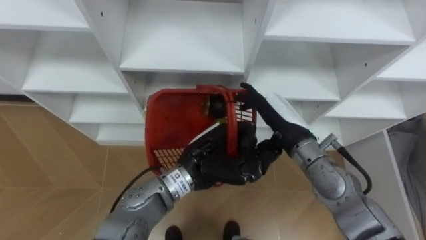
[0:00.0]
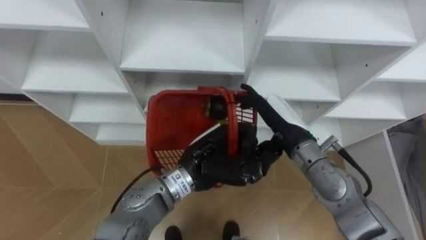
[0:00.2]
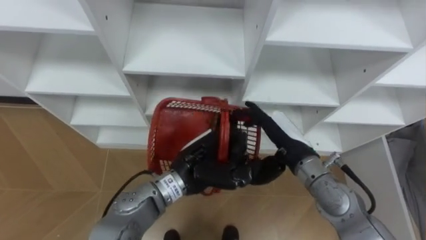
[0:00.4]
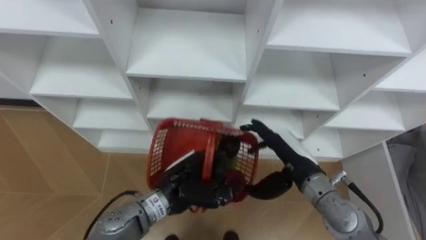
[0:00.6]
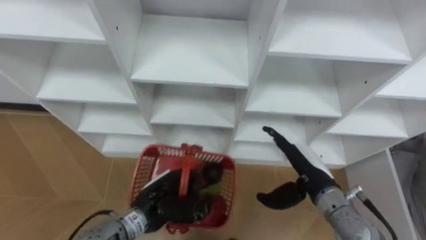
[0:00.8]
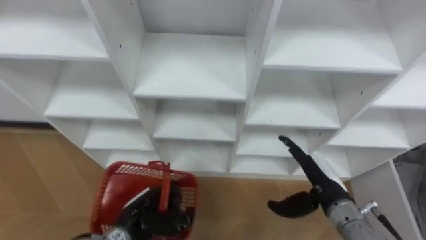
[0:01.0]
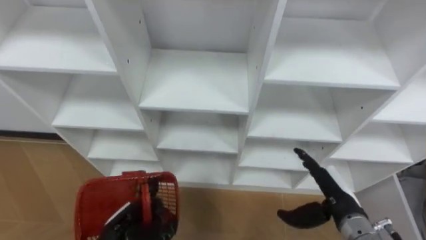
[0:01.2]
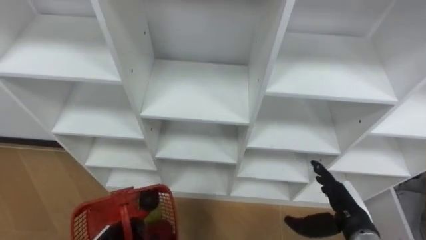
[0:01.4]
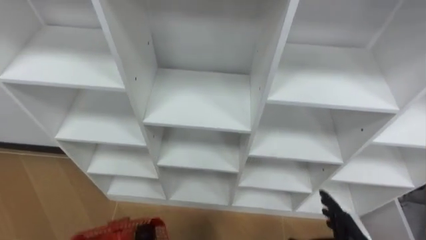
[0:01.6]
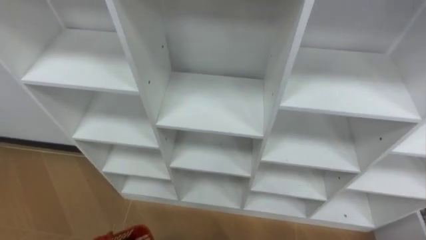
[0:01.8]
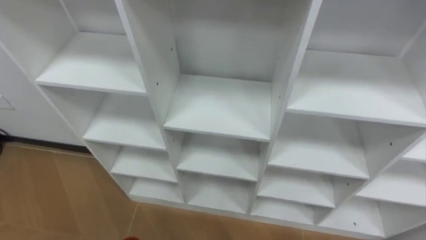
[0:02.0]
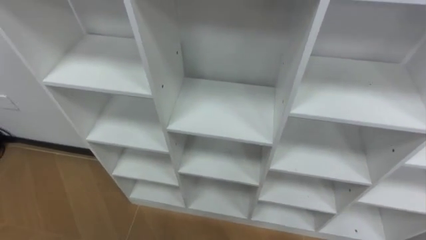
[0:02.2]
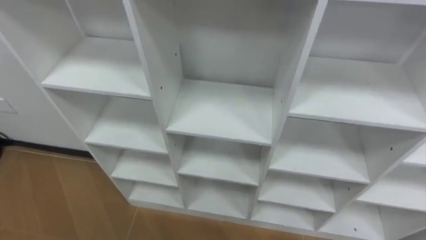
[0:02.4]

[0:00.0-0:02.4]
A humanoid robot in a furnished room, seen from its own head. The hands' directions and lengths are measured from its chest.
Task of the whole recording: Hold the basket and collect the fruits from 3 different cells of the closet into it.
0:00.0 to 0:01.2: The right hand is displaced to the right, downward and backward by approximately 20 cm. The left hand moves to the left, downward and backward, about 25 cm.

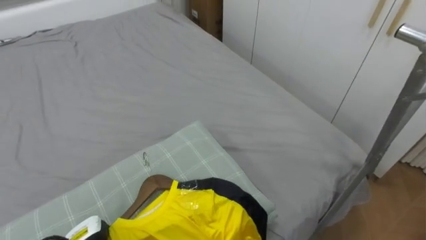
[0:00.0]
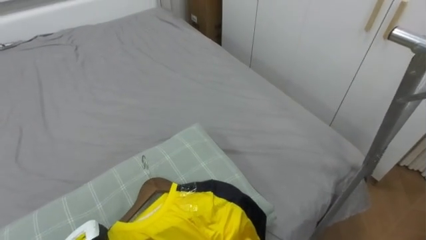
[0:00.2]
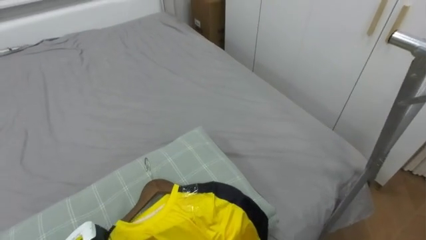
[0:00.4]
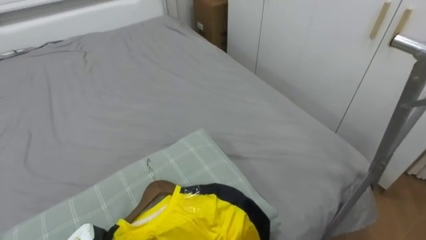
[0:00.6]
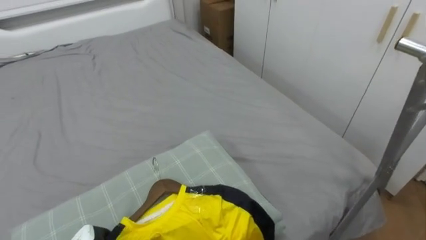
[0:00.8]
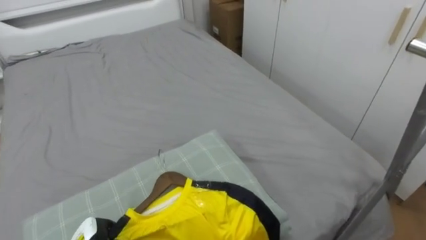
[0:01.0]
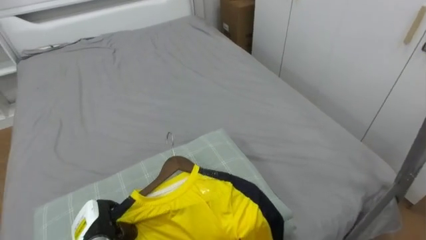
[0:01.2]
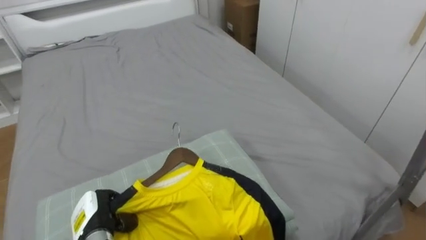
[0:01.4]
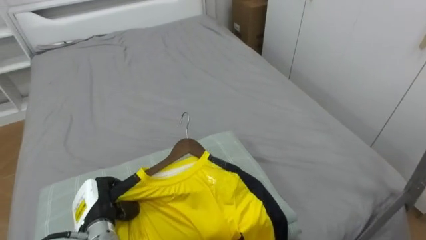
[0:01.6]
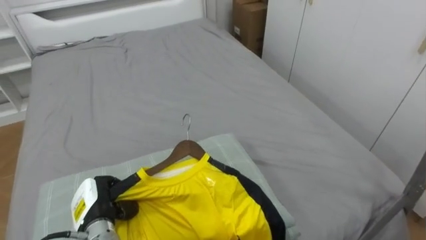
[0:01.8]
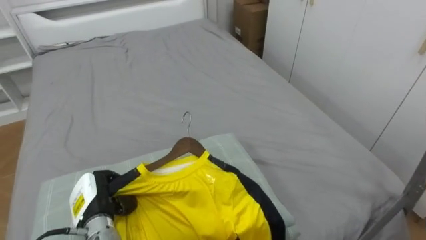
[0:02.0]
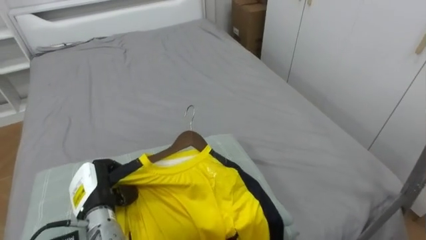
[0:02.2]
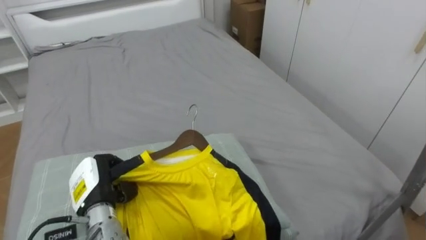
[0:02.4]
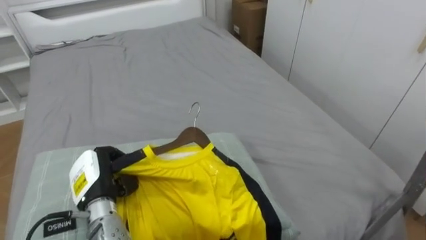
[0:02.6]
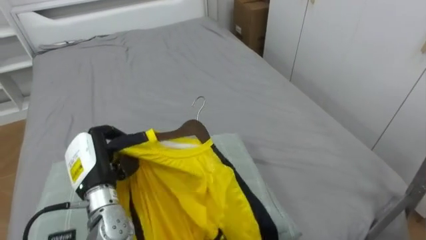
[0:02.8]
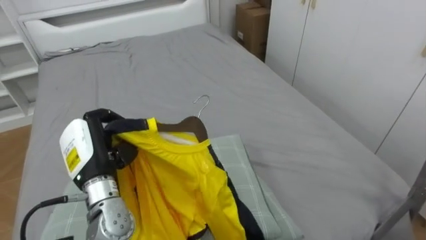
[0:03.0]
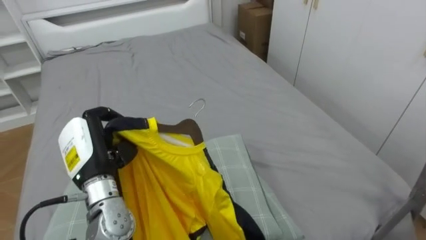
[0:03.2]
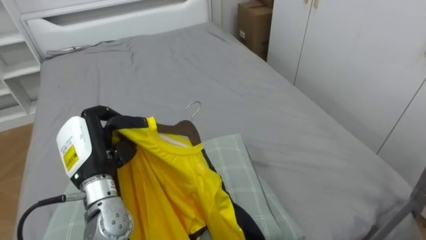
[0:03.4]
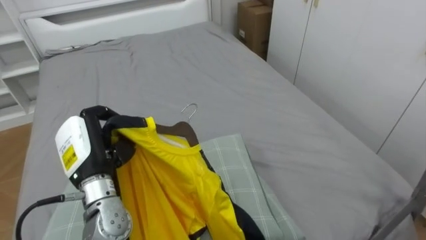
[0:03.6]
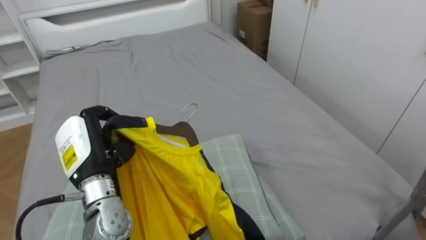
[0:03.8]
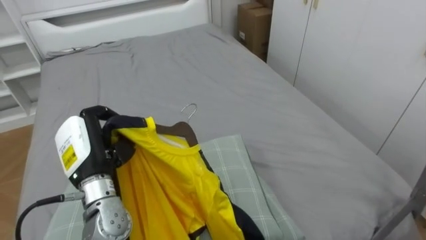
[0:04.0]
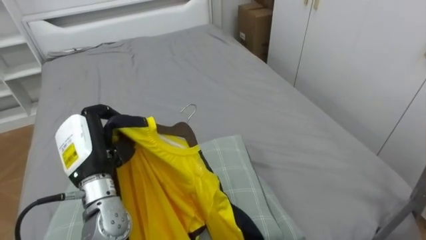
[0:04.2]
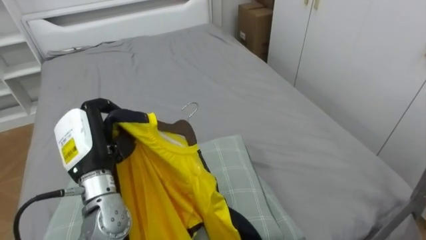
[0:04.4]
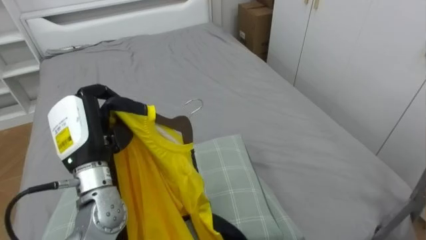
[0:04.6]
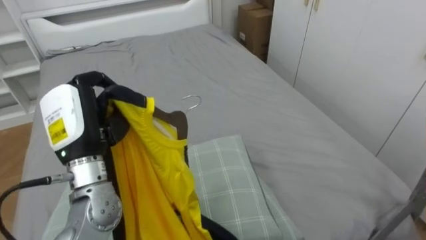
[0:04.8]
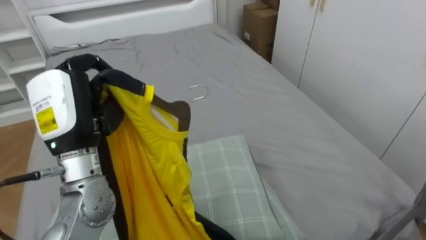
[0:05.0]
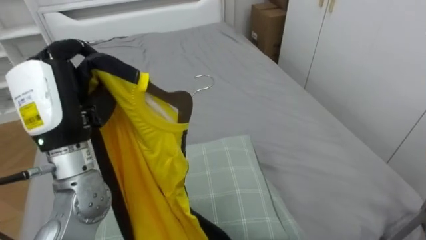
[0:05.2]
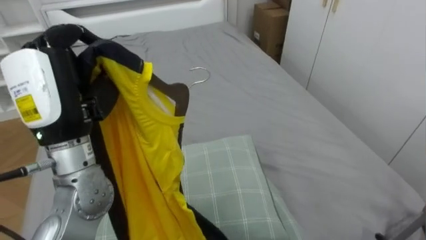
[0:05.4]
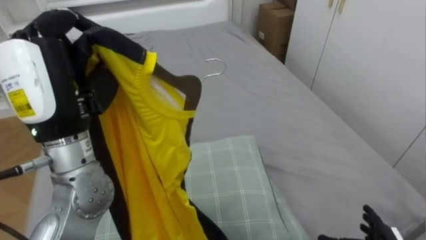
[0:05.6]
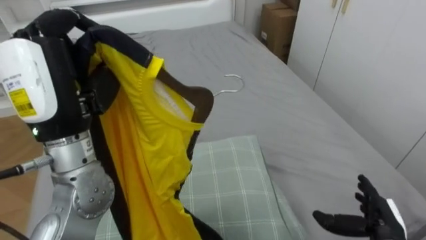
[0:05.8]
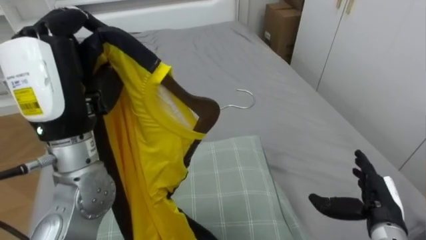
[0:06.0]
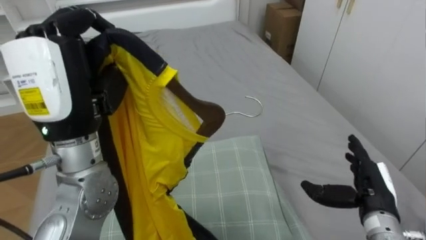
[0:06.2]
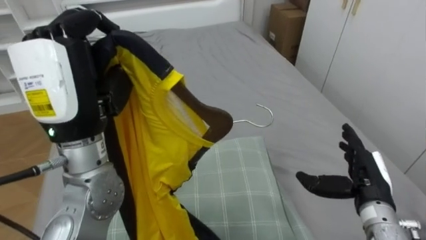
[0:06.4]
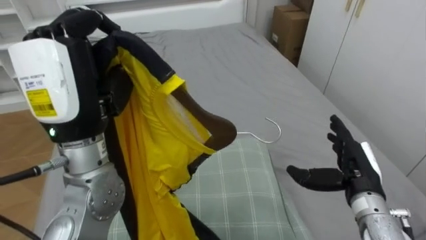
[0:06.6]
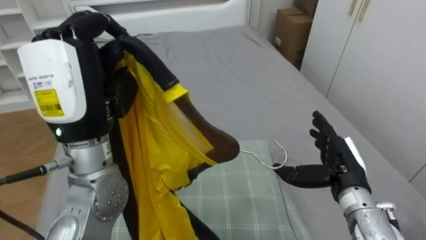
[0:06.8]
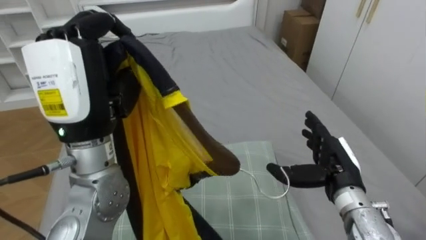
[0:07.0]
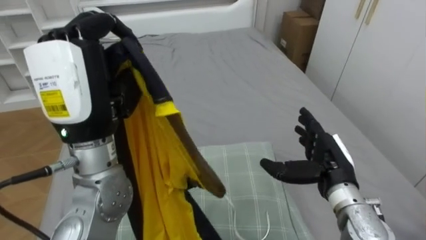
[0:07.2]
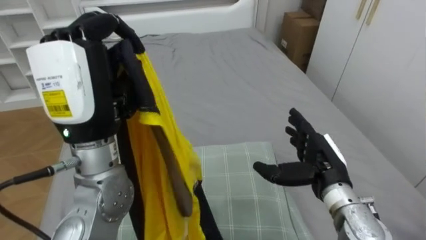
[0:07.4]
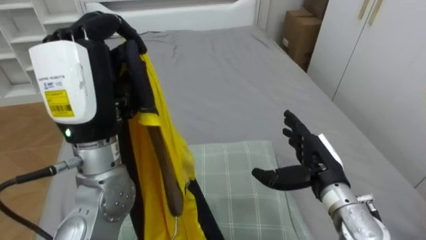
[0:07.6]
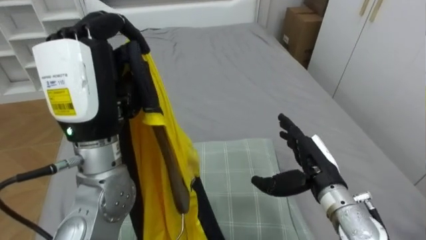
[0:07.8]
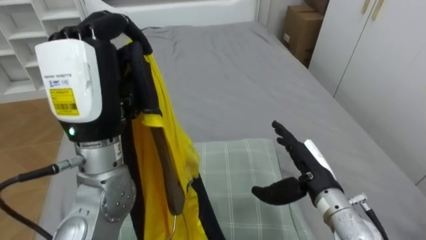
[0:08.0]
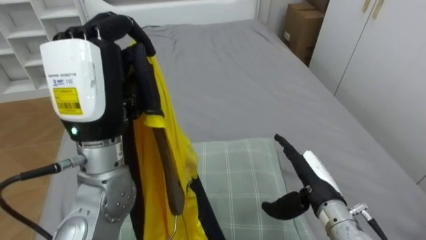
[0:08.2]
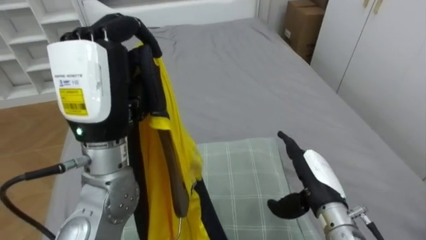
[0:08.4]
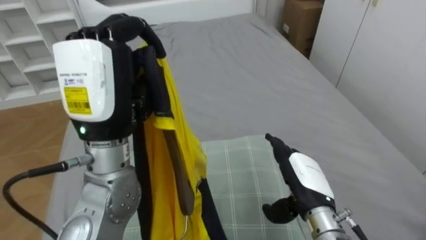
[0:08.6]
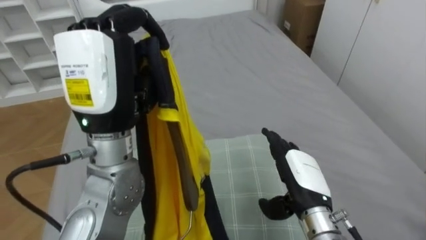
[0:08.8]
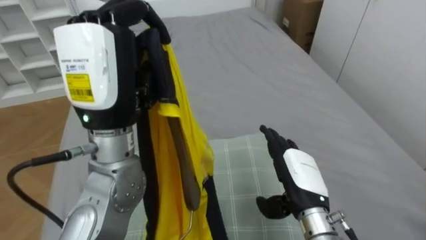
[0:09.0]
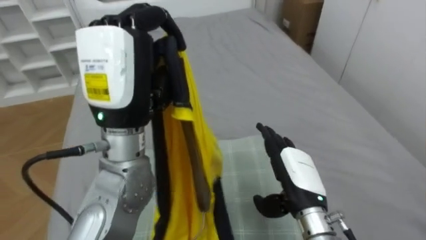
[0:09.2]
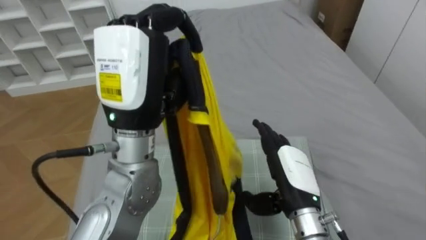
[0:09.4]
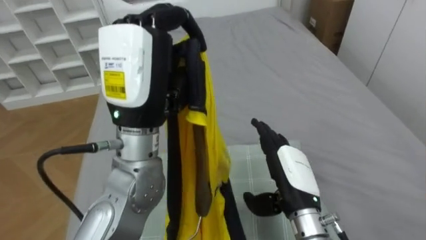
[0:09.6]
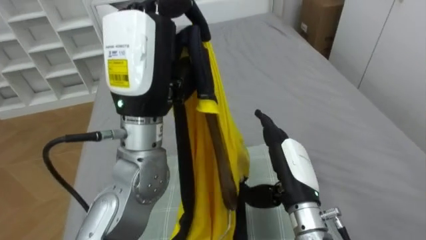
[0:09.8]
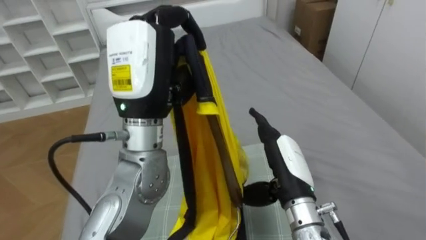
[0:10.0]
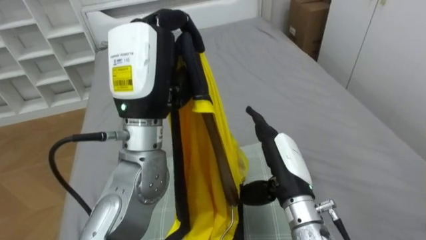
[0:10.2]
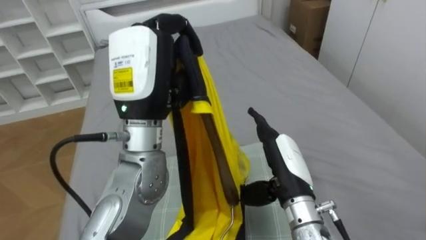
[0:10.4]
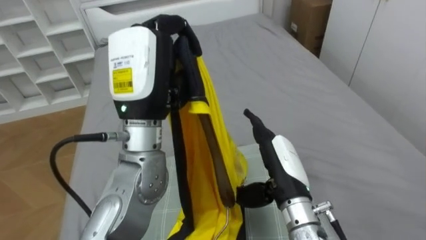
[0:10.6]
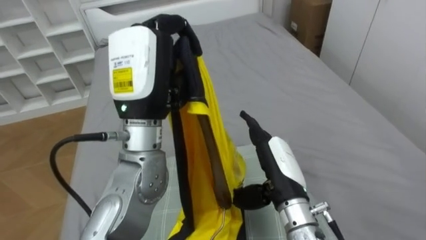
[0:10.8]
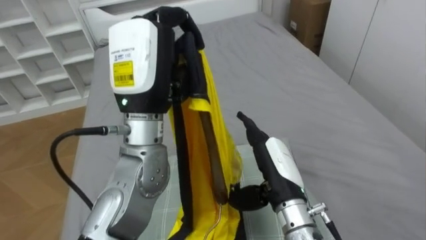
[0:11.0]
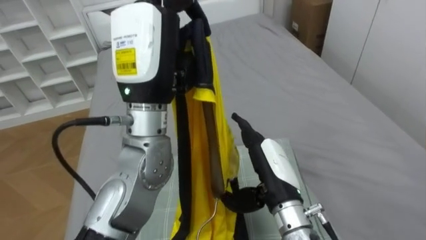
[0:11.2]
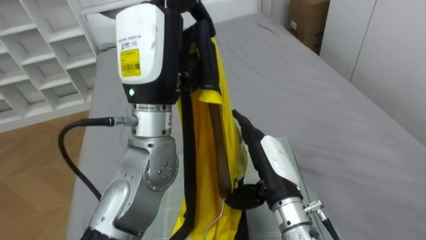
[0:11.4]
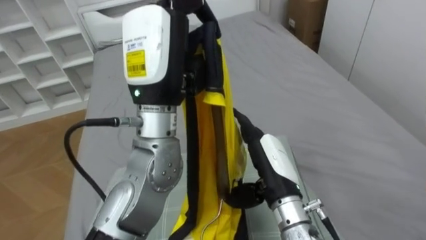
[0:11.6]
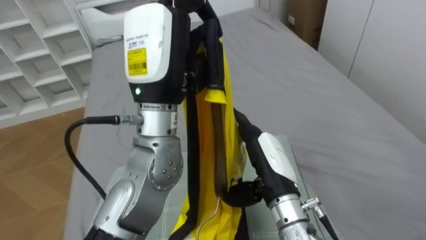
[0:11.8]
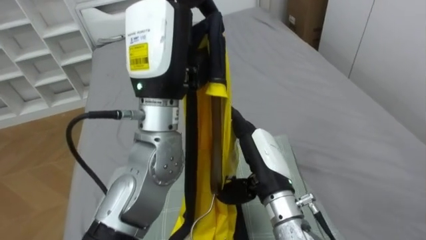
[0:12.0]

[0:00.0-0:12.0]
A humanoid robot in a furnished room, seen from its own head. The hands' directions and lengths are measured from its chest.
Task of the whole recording: Pick up the yellow shirt on the bed and hang it on the clothes rack on the right.
0:01.6 to 0:03.0: The left hand travels upward by about 15 cm.
0:04.4 to 0:06.0: The left hand is displaced upward by approximately 15 cm.
0:06.0 to 0:07.6: The right hand moves to the left and upward, some 10 cm.
0:09.0 to 0:10.4: The left hand changes place by roughly 5 cm.

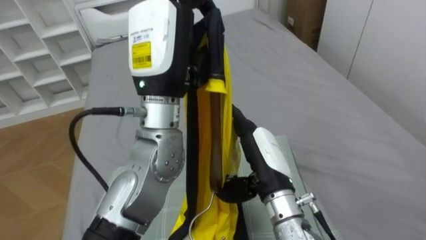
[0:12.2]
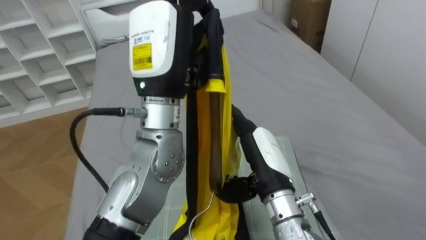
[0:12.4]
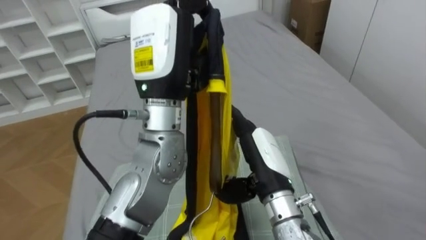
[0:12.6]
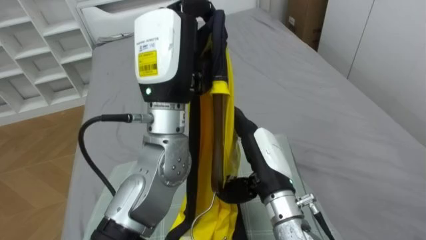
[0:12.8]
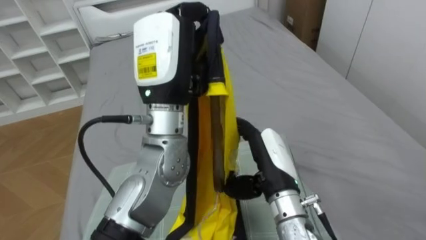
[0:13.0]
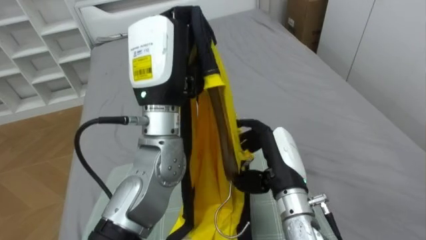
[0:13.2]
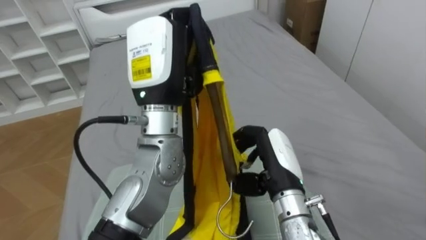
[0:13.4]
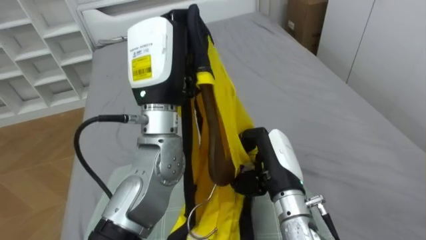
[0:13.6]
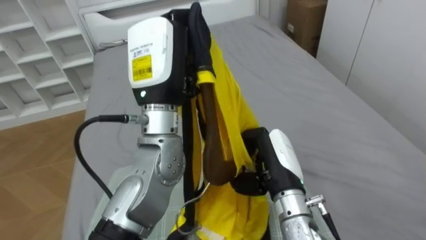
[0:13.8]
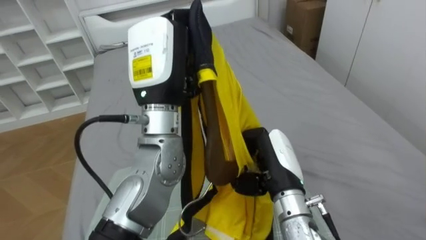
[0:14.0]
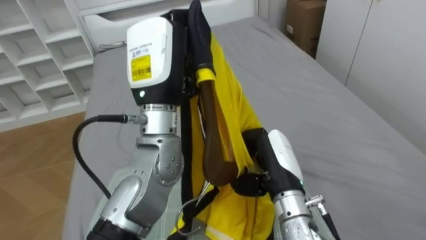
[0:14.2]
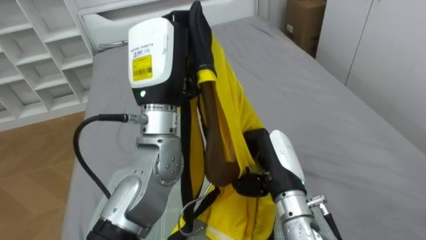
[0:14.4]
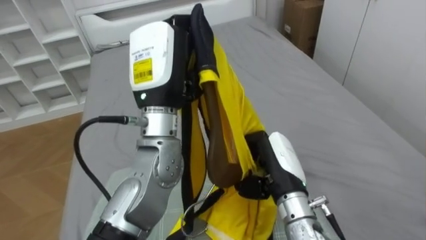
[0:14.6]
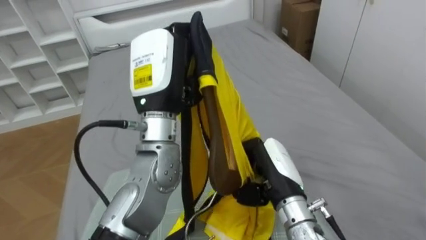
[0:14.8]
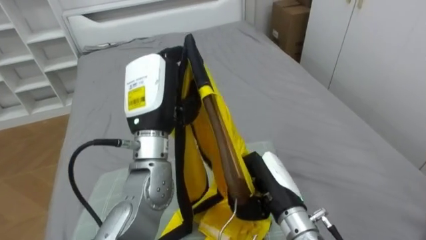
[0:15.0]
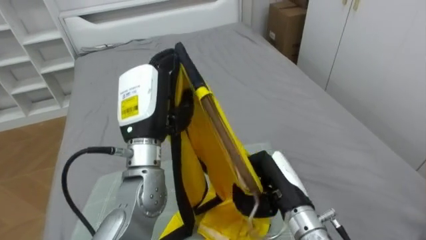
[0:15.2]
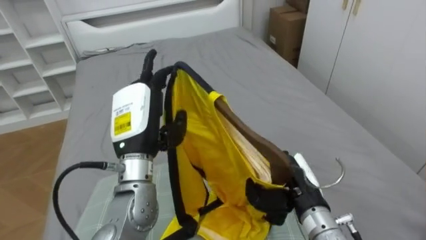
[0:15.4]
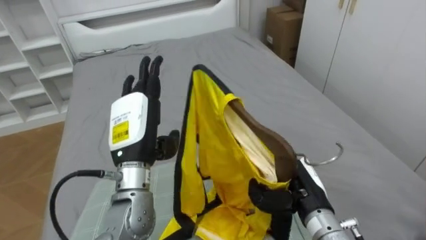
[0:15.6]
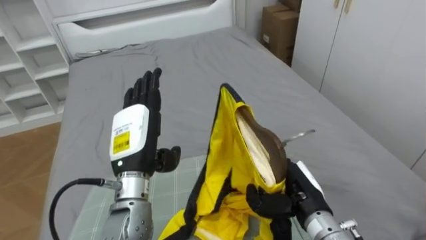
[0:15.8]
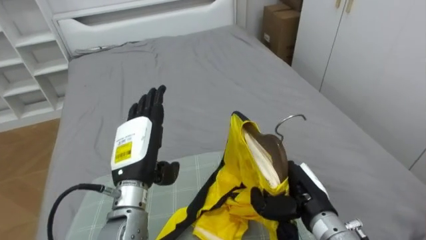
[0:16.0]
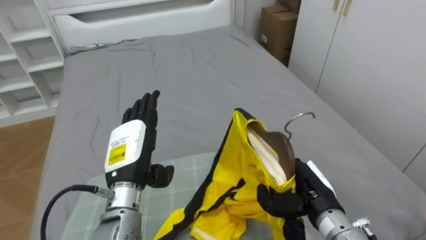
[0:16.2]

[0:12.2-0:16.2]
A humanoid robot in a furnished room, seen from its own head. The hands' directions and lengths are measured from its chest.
Task of the whole recording: Pick up the yellow shirt on the bed and hang it on the clothes rack on the right.
0:12.2 to 0:13.6: The right hand closes its fingers.
0:14.8 to 0:16.2: The right hand is displaced to the right by approximately 5 cm. Meanwhile the left hand heads downward and to the left, covering roughly 15 cm, and opens its fingers.
